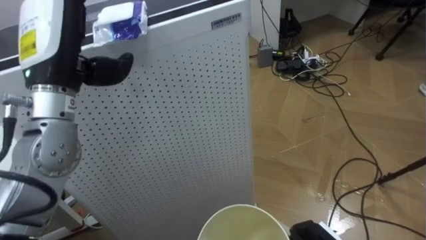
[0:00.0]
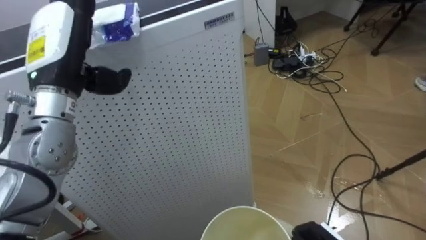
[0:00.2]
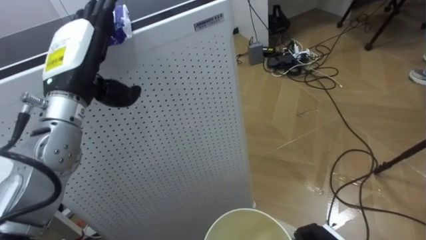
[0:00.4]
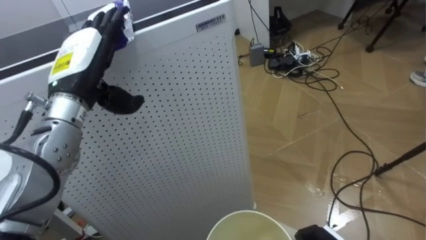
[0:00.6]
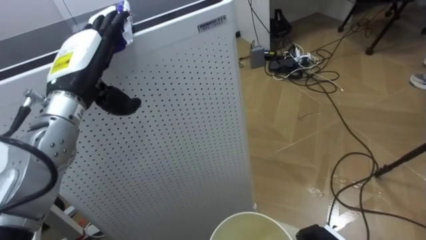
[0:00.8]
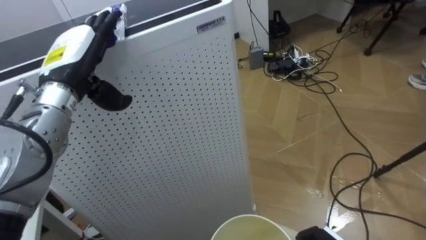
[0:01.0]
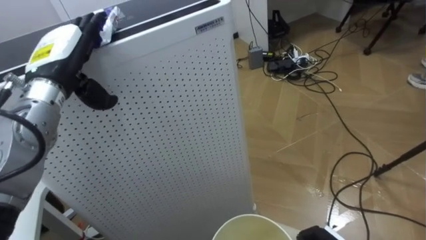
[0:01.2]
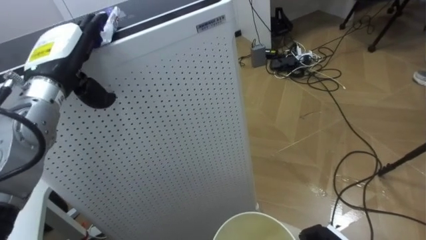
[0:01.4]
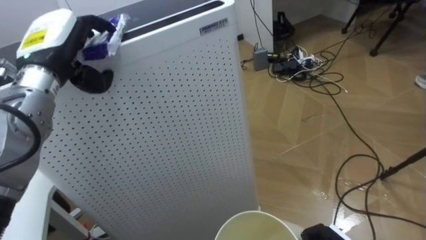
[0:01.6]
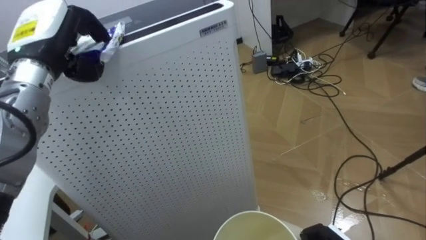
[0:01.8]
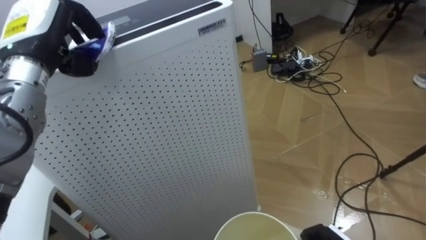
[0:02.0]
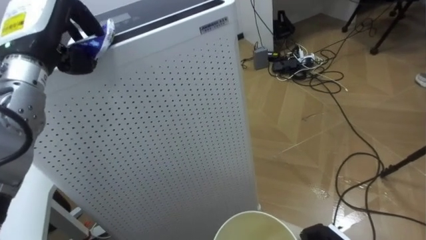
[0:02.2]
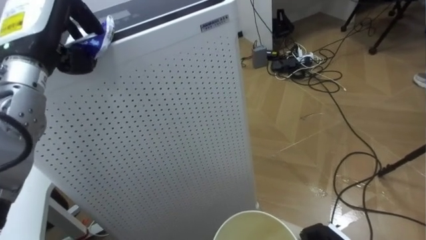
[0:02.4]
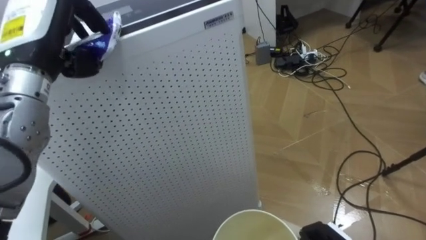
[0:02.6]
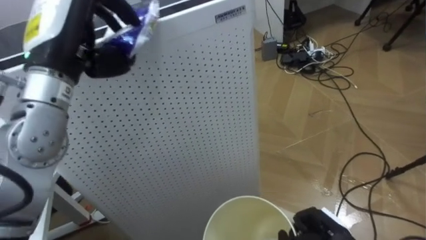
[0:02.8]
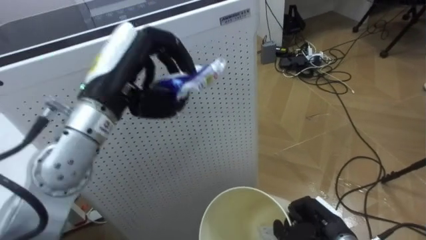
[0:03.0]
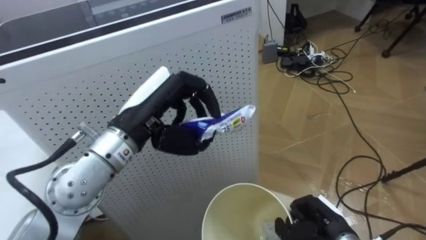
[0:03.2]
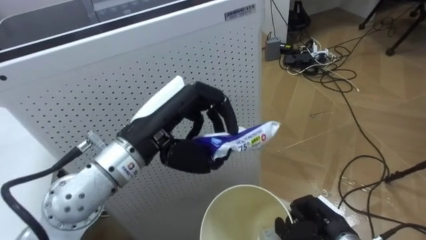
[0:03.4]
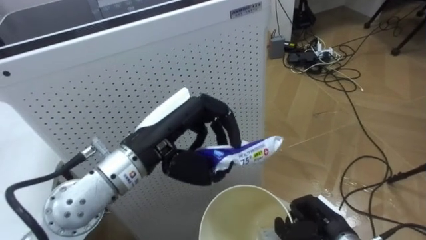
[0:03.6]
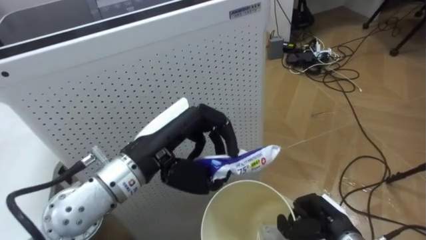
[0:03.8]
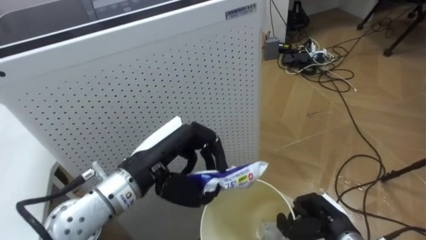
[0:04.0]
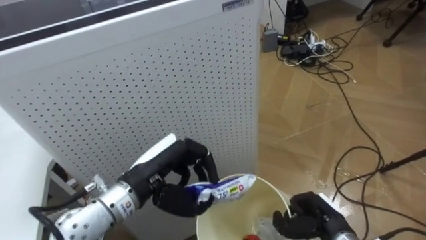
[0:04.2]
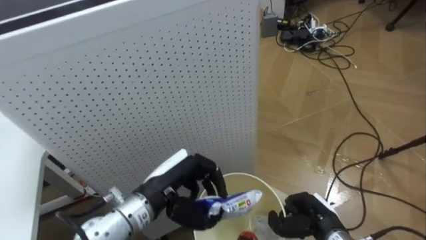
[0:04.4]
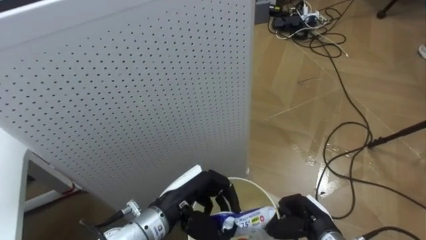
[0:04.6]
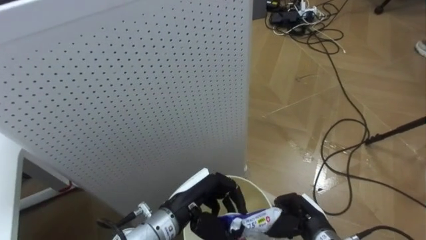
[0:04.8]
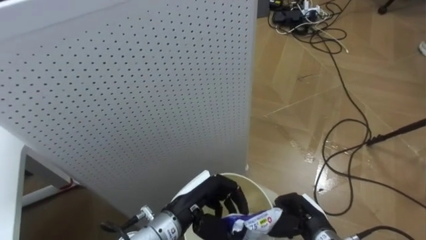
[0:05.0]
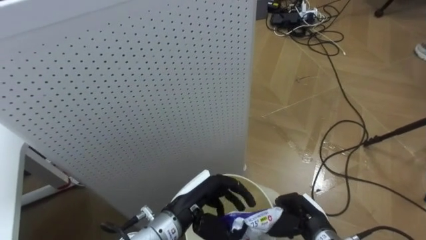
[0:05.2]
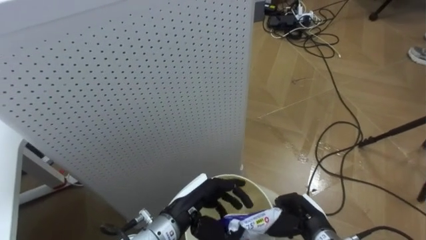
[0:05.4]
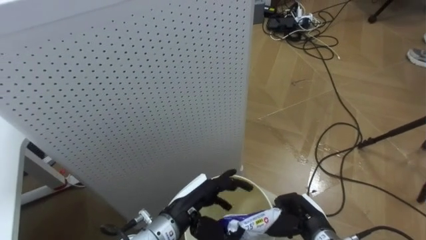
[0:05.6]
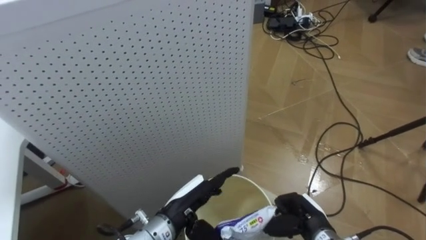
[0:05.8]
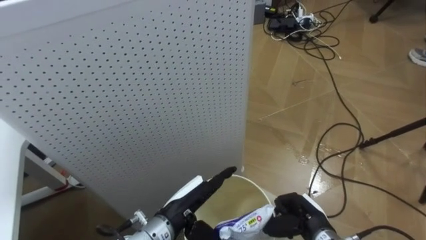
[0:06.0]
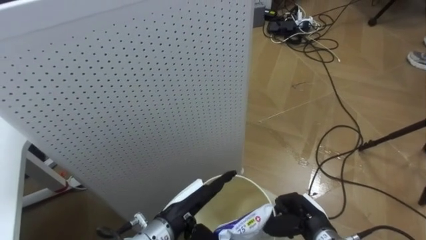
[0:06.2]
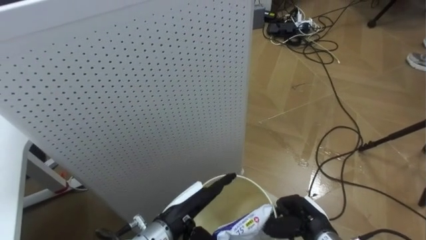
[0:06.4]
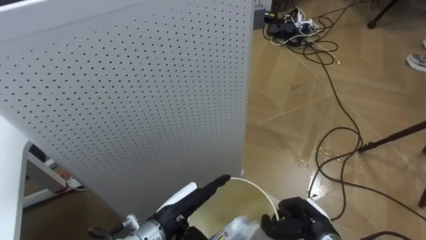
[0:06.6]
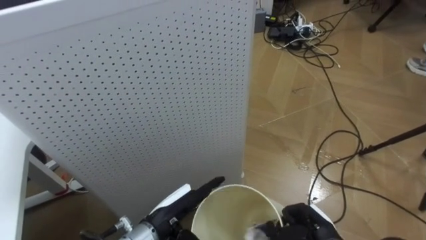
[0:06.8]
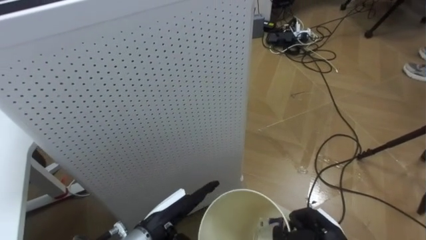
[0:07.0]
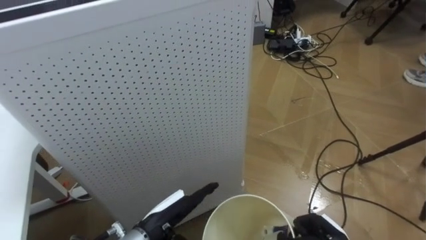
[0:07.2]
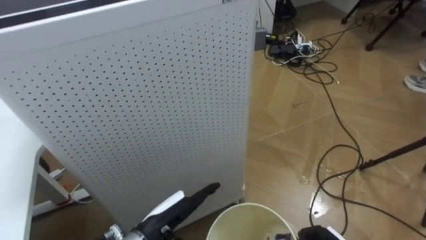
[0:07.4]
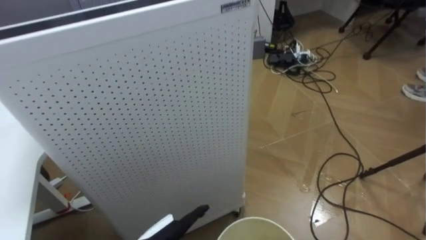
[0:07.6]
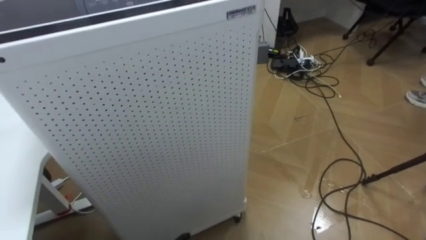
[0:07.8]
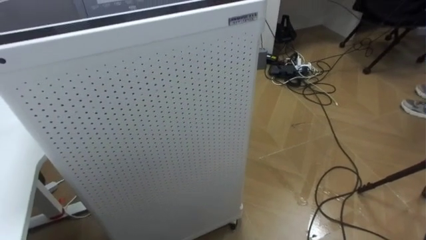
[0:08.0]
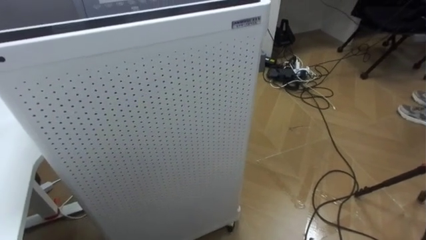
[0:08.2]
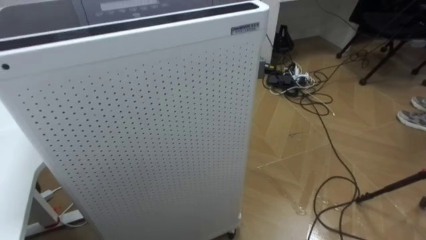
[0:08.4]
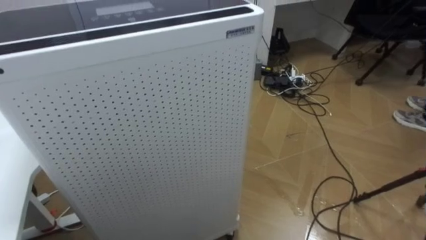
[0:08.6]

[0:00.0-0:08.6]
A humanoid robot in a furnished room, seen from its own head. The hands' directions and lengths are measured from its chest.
Task of the whole recording: Pick up the light blue package, the candy box, and the dark blue package separately, and put them into the trash can held in your right hand.
0:00.0 to 0:01.4: The left hand shifts roughly 10 cm forward and downward.
0:01.4 to 0:02.8: The left hand goes about 10 cm upward and backward, and closes its fingers.
0:02.8 to 0:04.4: The left hand is displaced downward and to the right by roughly 25 cm.
0:04.4 to 0:05.8: The left hand heads downward, covering roughly 5 cm, and opens up.
0:05.8 to 0:07.2: The right hand shifts by some 5 cm.

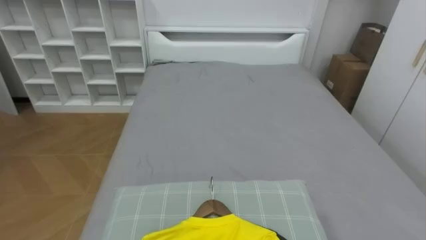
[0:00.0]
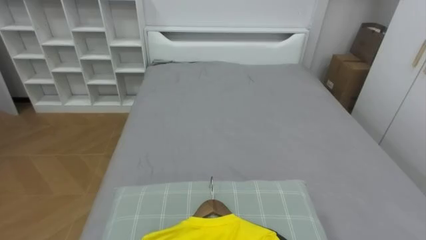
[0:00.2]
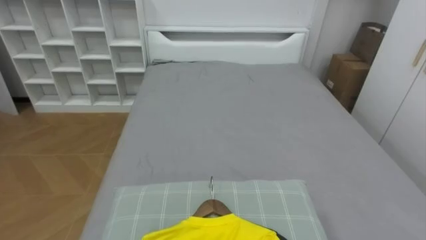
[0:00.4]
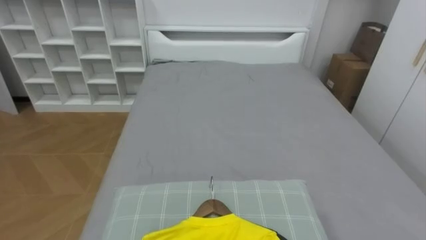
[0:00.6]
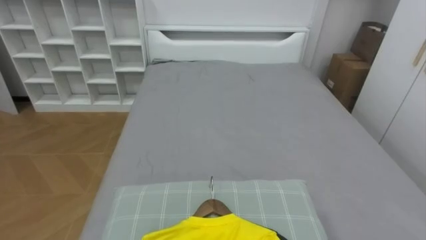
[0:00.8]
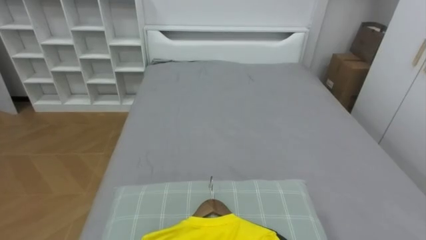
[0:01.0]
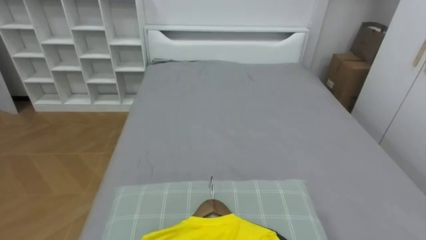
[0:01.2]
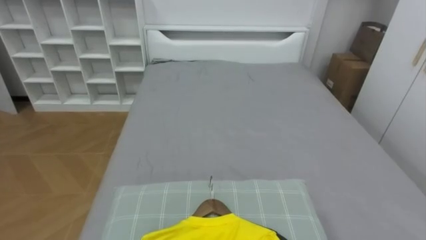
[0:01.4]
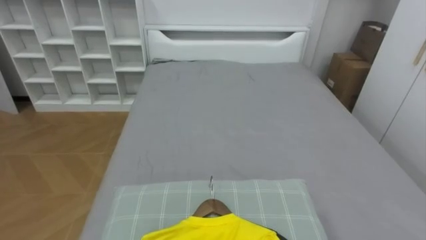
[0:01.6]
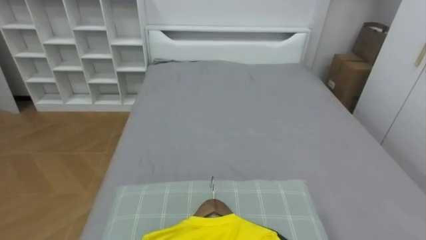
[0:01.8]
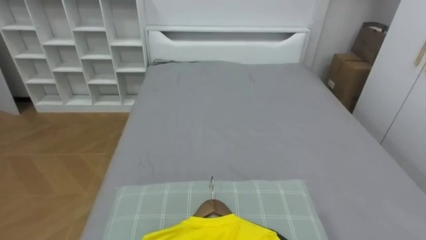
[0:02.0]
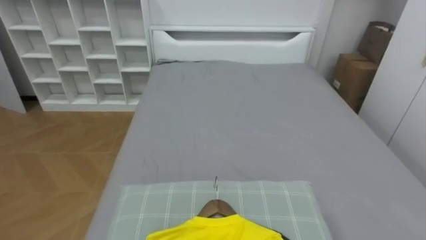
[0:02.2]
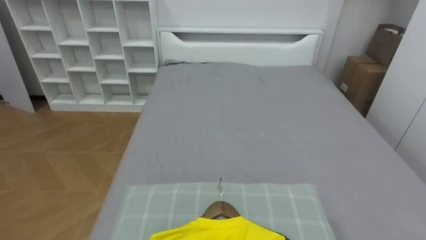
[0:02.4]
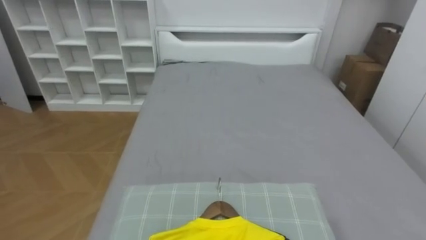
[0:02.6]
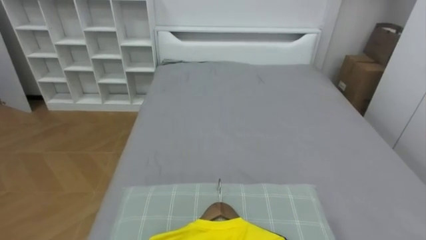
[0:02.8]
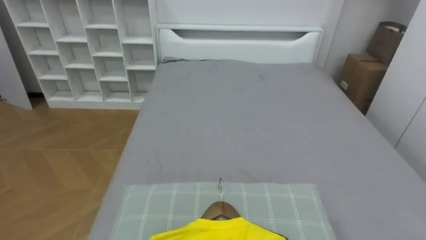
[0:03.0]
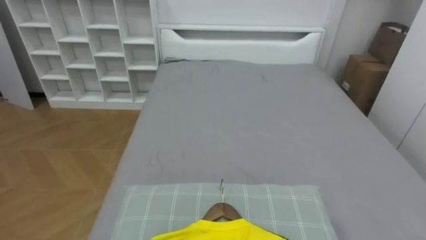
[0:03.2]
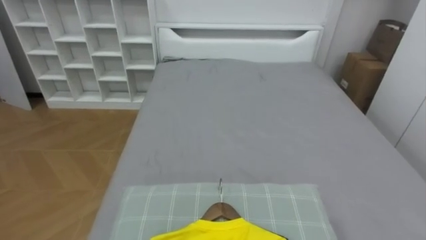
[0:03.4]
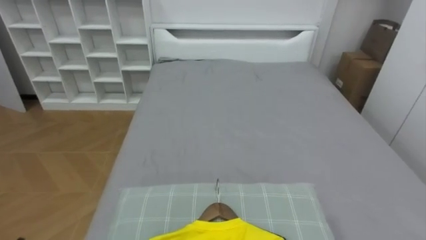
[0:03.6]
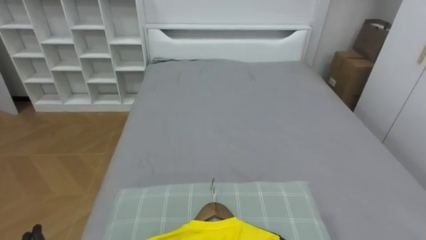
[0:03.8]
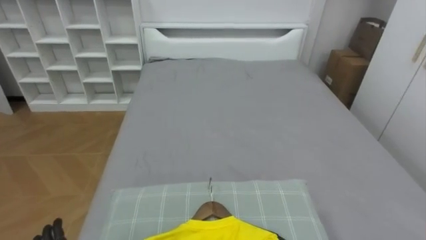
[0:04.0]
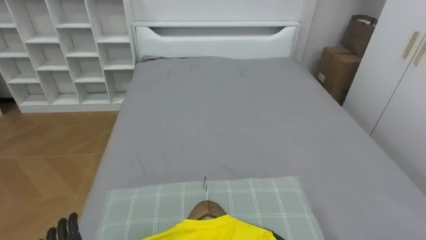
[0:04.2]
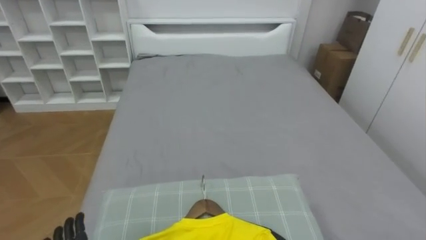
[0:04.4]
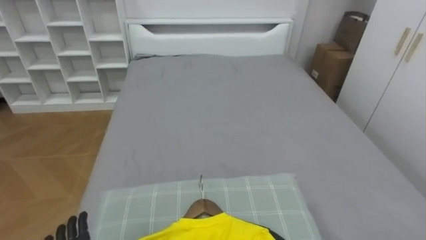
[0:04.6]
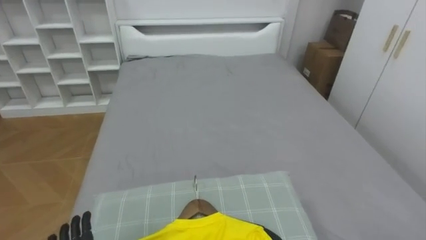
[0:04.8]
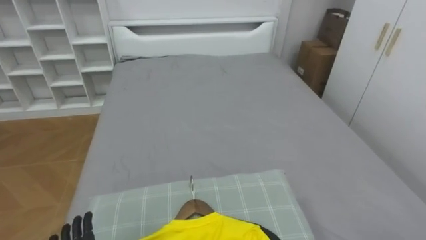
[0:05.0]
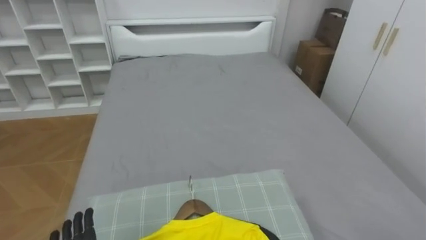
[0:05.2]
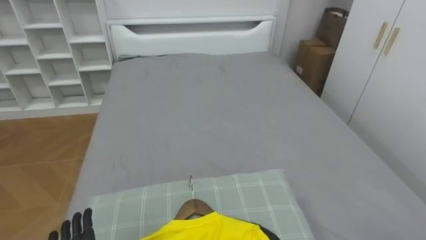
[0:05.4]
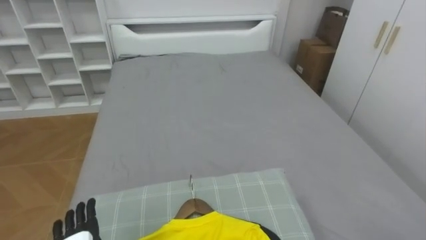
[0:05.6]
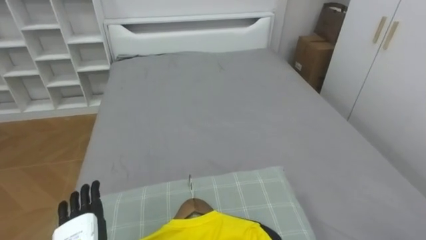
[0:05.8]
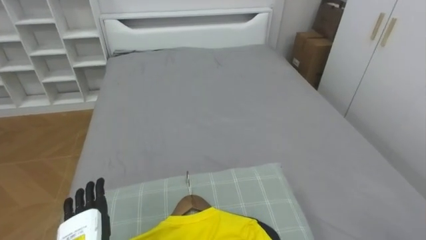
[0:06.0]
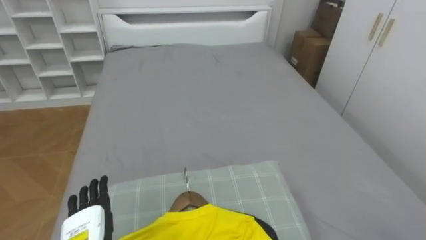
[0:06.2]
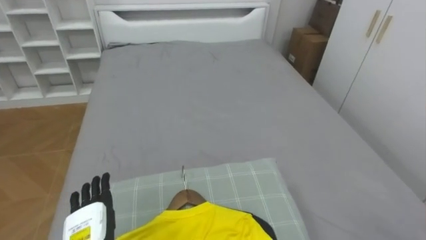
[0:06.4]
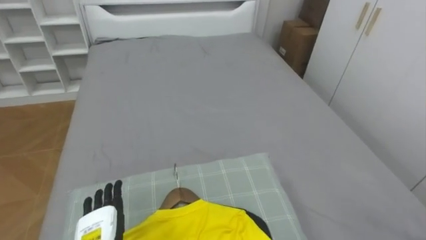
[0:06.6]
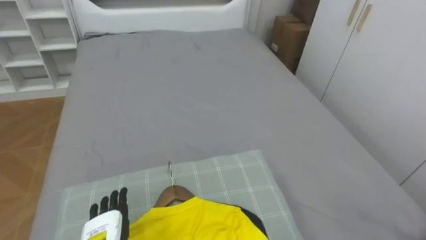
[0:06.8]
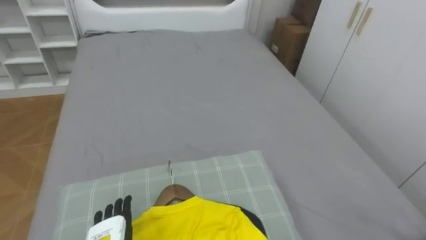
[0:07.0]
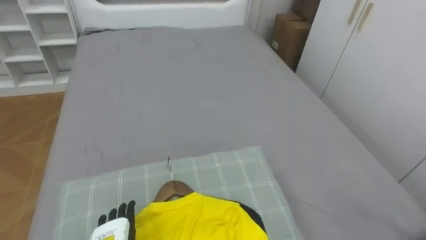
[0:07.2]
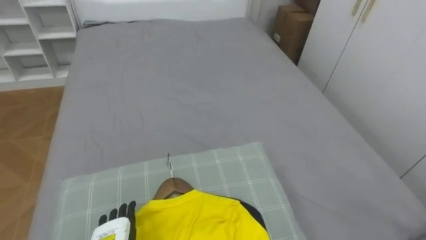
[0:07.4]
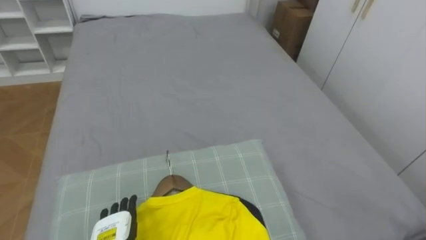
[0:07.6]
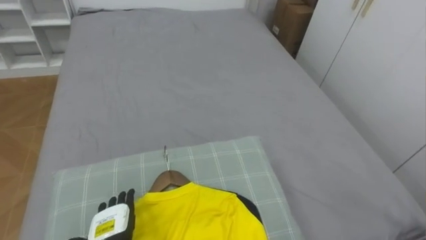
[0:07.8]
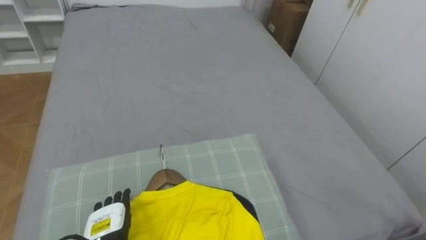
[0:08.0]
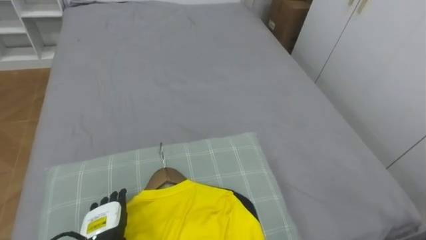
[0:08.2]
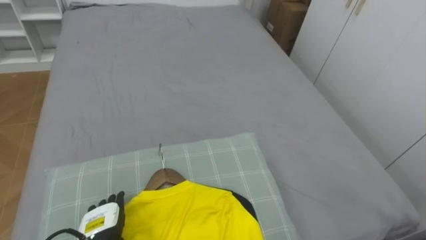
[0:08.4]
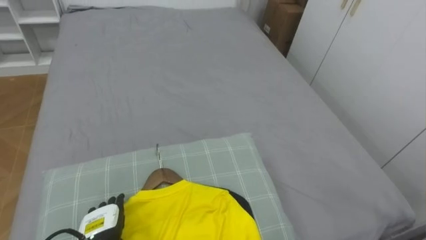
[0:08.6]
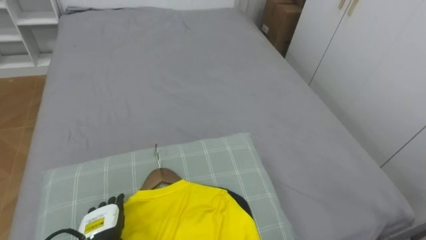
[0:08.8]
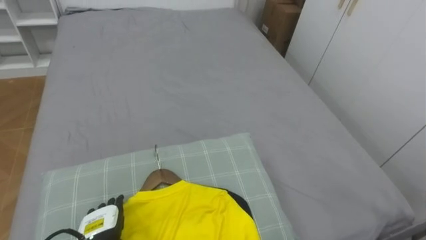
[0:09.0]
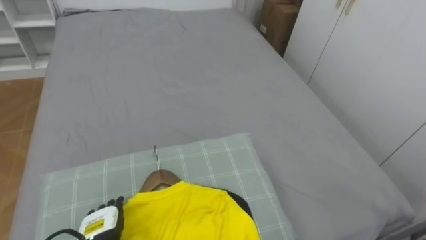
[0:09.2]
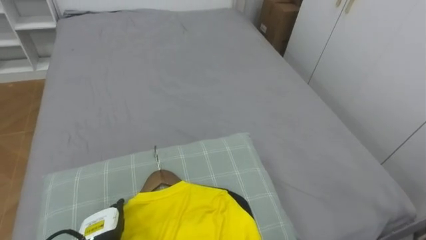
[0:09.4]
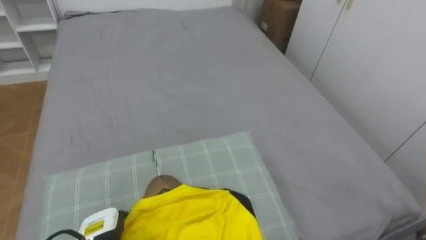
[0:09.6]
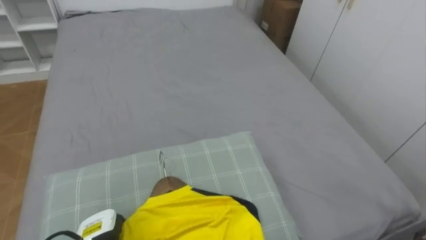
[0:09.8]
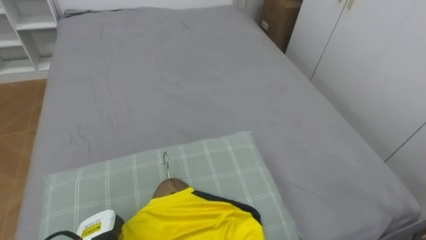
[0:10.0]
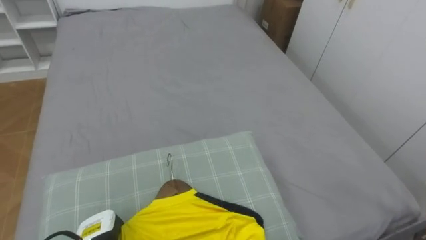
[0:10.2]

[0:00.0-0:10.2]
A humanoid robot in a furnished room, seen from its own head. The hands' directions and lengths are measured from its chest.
Task of the whole recording: Pick up the yellow shirt on the bed and hang it on the clothes rack on the right.
0:05.8 to 0:07.2: The left hand goes roughly 5 cm downward.
0:08.8 to 0:10.2: The left hand closes.
